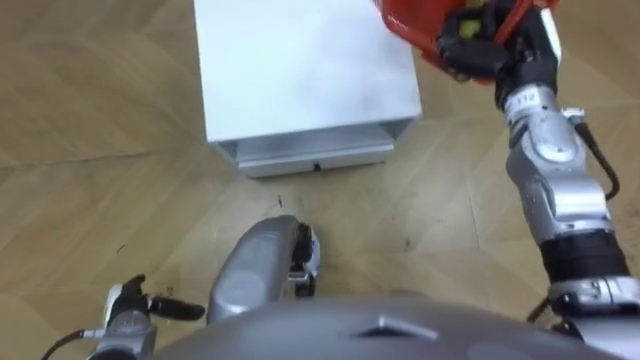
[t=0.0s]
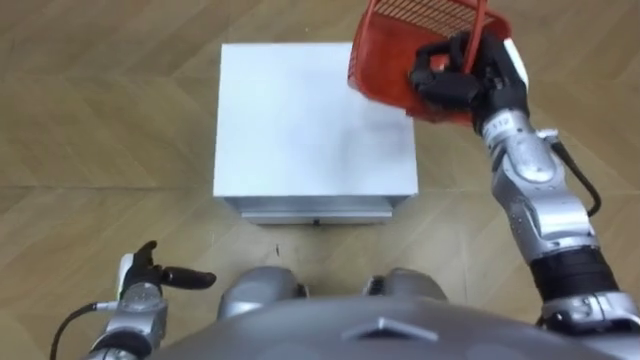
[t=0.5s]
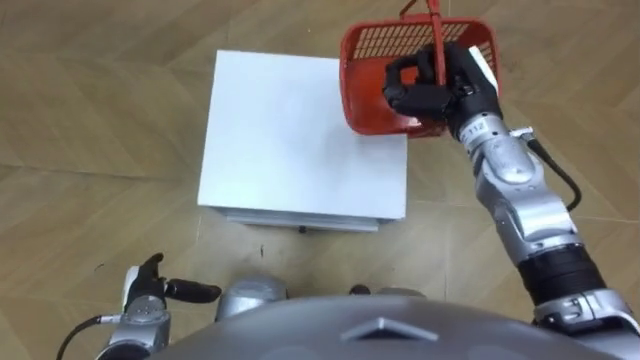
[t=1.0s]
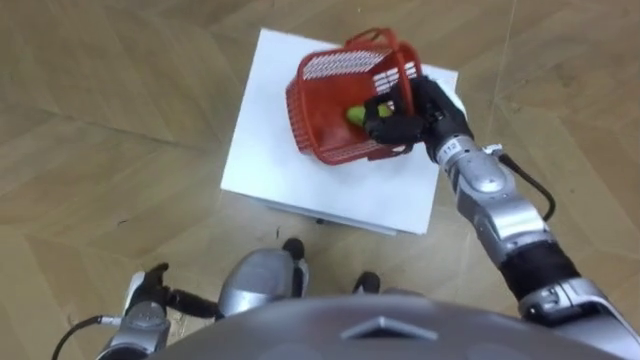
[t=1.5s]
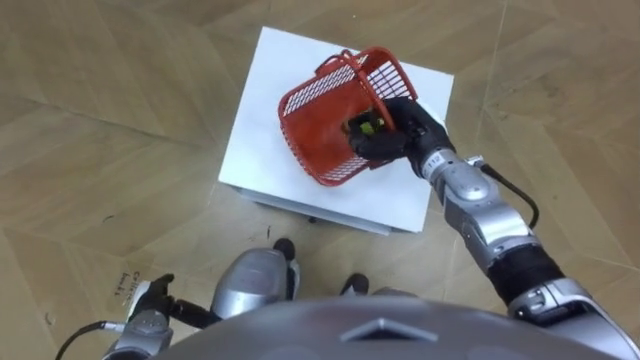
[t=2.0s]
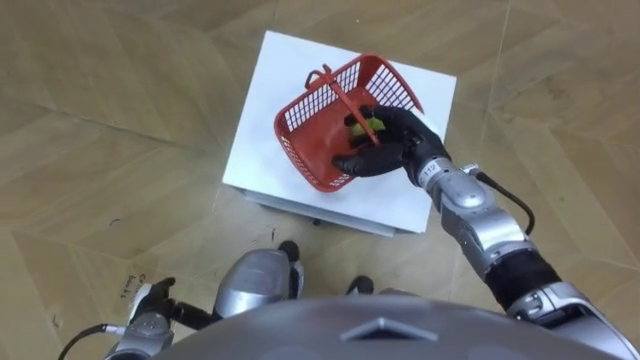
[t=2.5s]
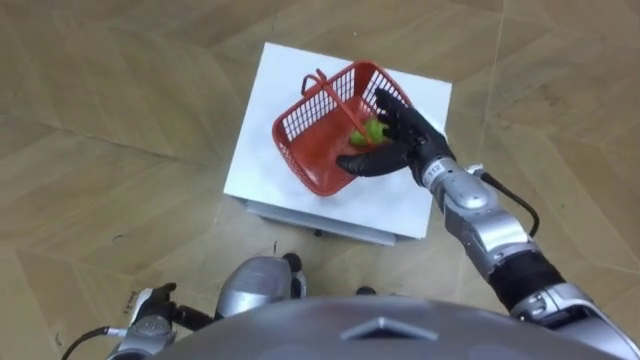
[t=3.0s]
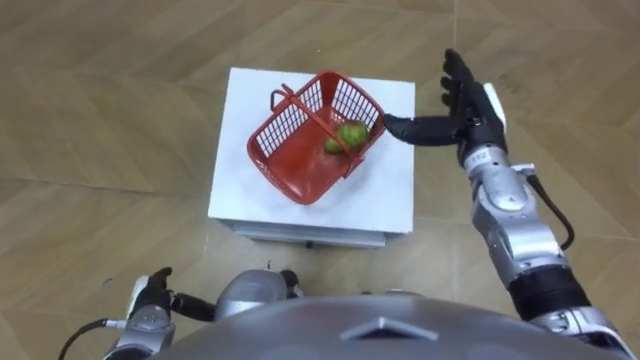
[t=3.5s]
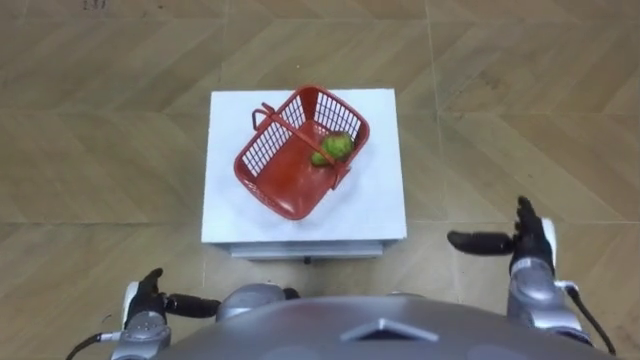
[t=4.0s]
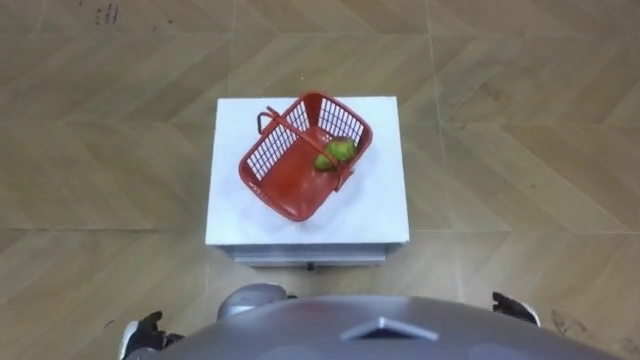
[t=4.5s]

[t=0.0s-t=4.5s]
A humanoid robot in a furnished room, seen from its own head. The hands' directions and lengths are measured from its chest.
Task of the whole recording: Pick up the fruit basket from the floor and place it on the cabinet.
t=0.0s to t=2.0s: The robot's body swings some 15 degrees to its left. The right hand heads downward and to the left, covering about 15 cm.
t=2.0s to t=4.5s: The right hand heads backward, to the right and downward, covering approximately 35 cm, and opens up.

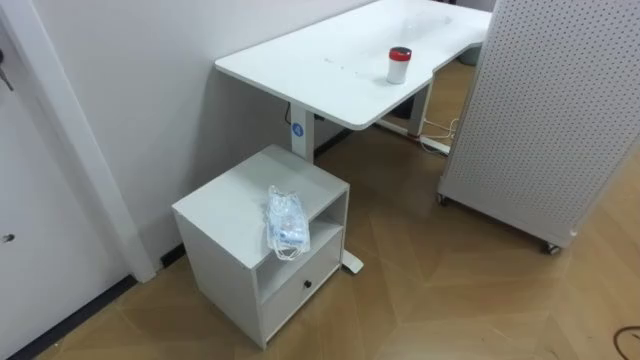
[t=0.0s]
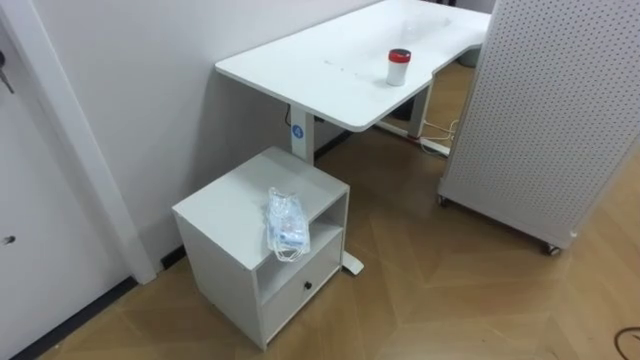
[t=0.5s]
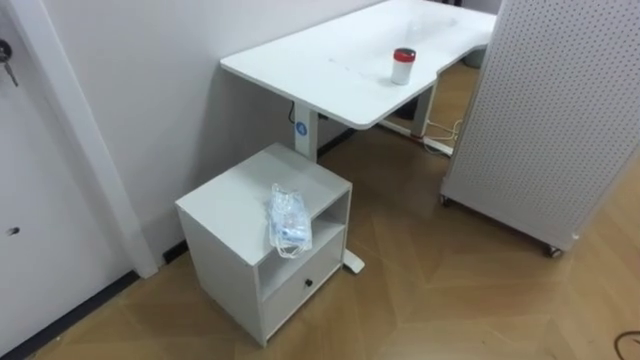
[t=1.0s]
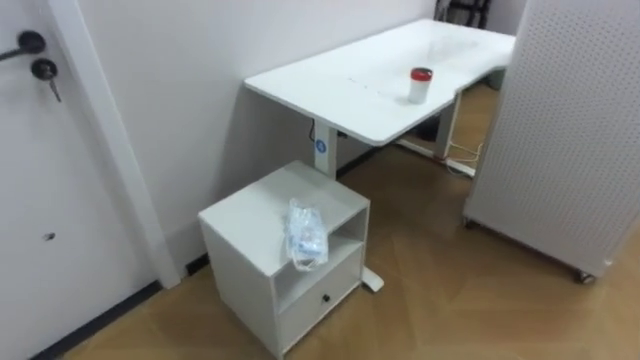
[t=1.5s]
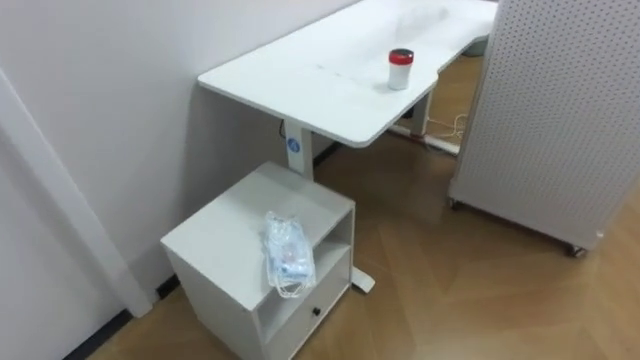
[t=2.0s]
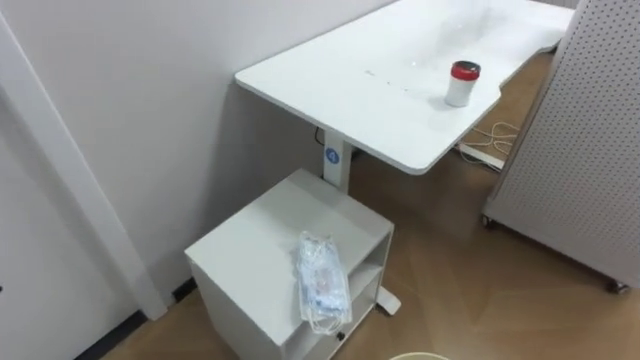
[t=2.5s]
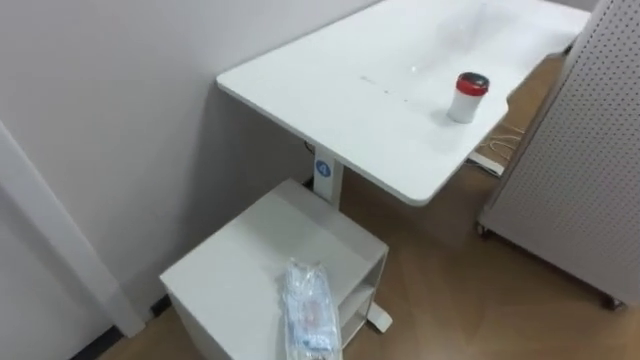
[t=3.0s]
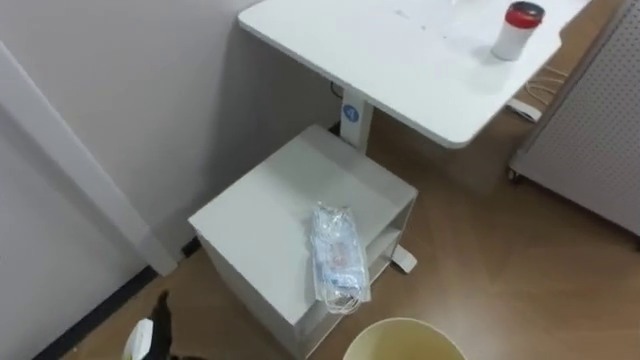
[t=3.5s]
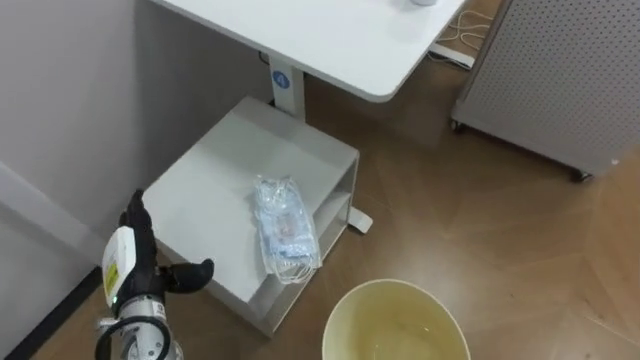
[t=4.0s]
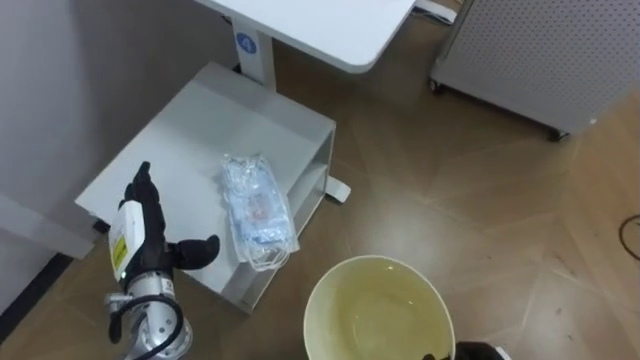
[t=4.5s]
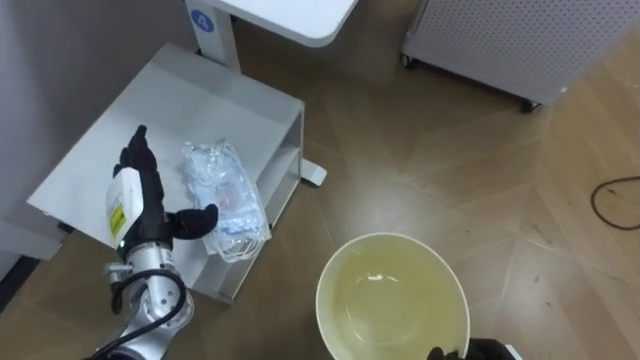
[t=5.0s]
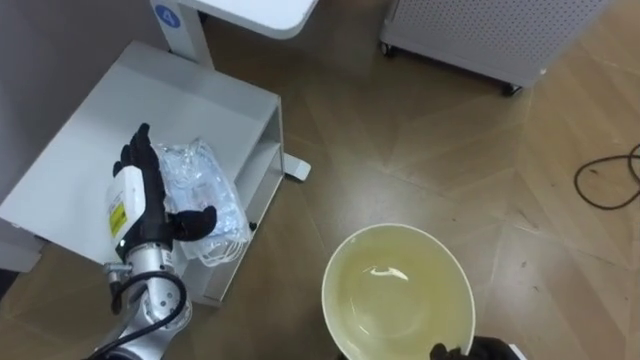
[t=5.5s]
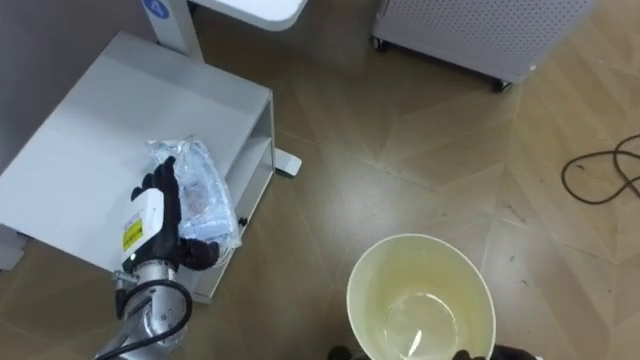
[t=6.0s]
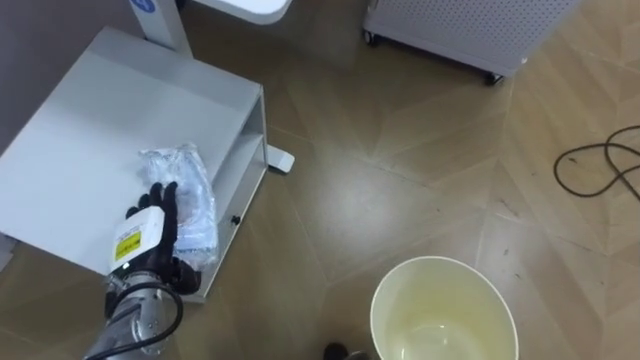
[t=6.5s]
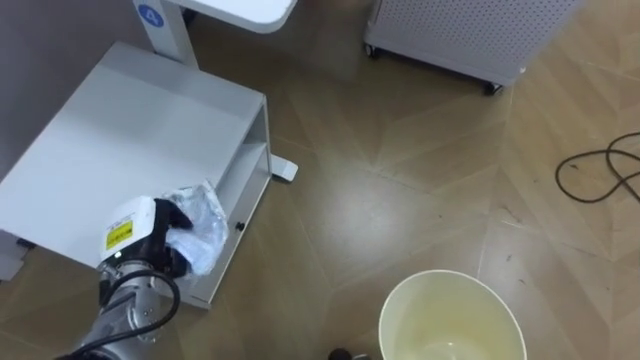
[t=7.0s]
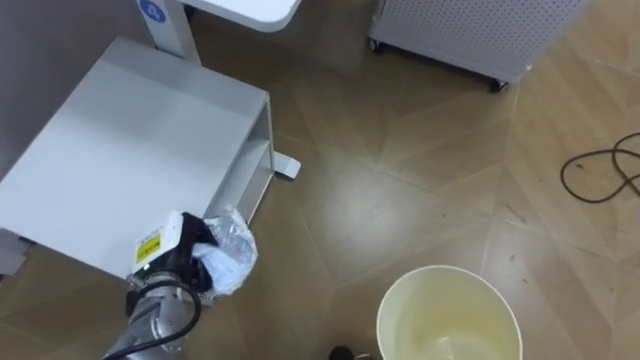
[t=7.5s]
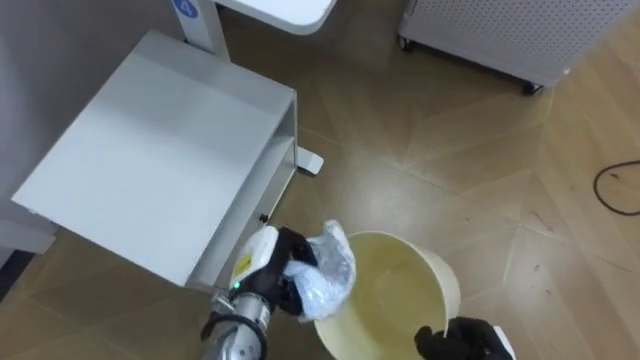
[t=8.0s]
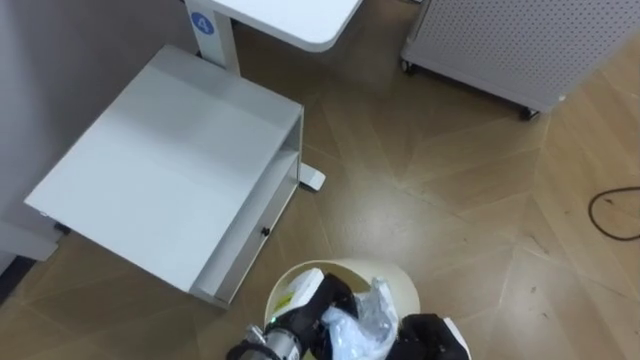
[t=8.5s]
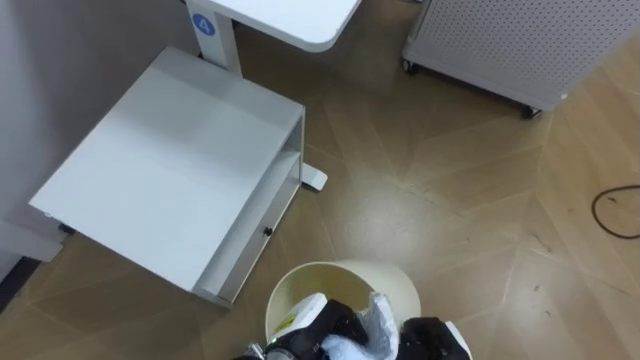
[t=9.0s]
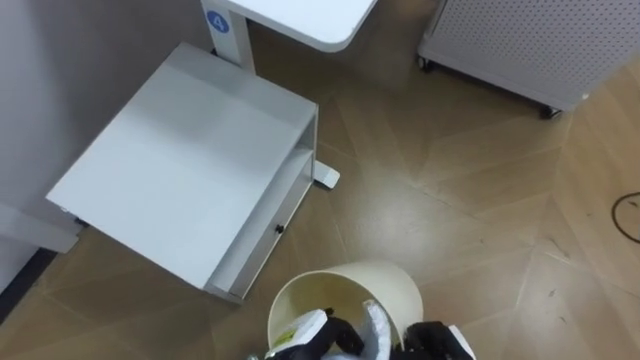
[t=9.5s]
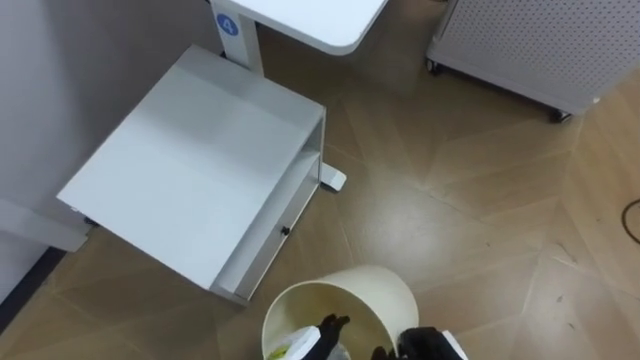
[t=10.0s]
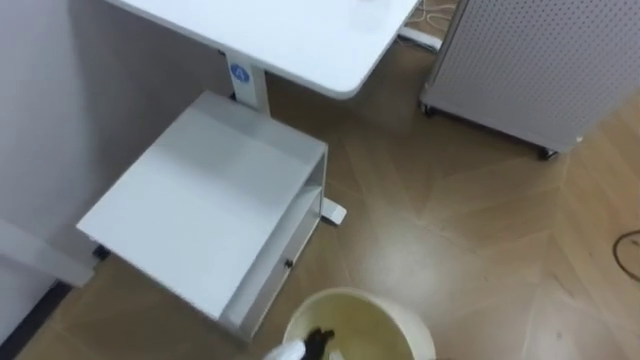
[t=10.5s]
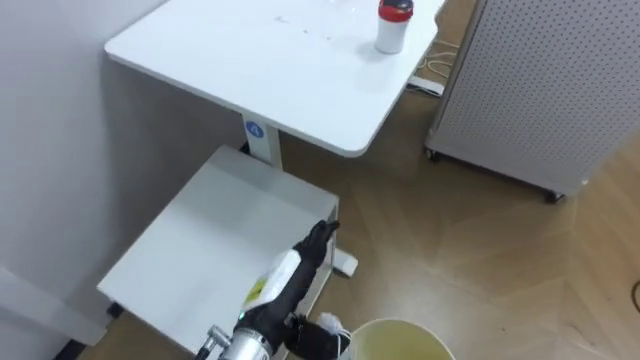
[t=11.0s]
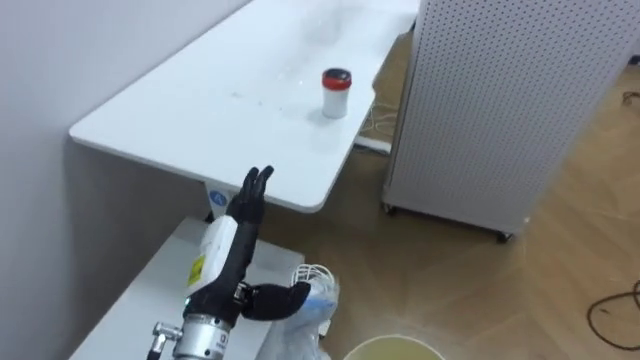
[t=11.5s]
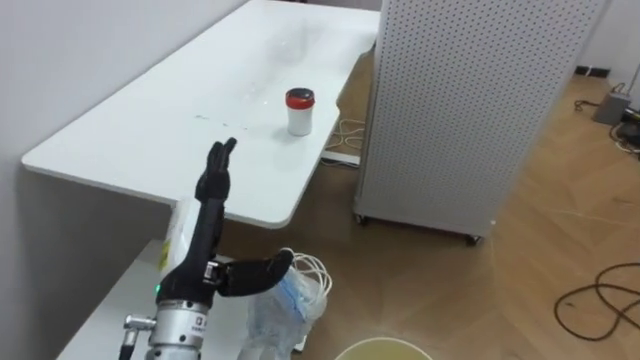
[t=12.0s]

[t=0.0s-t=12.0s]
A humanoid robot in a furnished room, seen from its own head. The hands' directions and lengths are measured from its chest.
Task of the whole recording: Pick up the light blue package, the candy box, and the dark blue package separately, and put them into the trash can held in your right hand.
t=4.0s to t=6.0s: The left hand changes place by about 5 cm.
t=6.0s to t=8.0s: The left hand shifts about 15 cm to the right, and closes up.
t=8.0s to t=10.0s: The left hand heads backward, downward and to the right, covering about 15 cm, and opens its fingers.

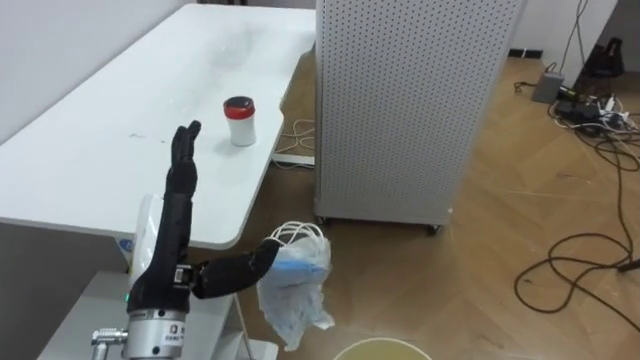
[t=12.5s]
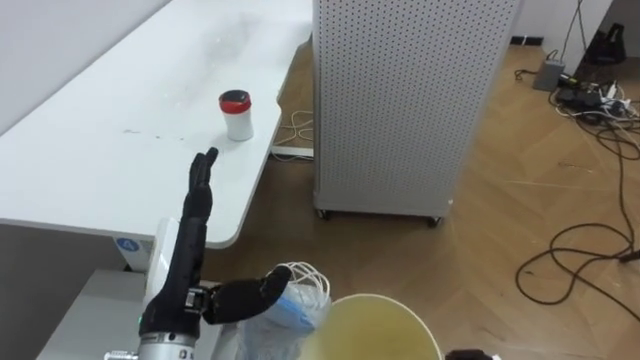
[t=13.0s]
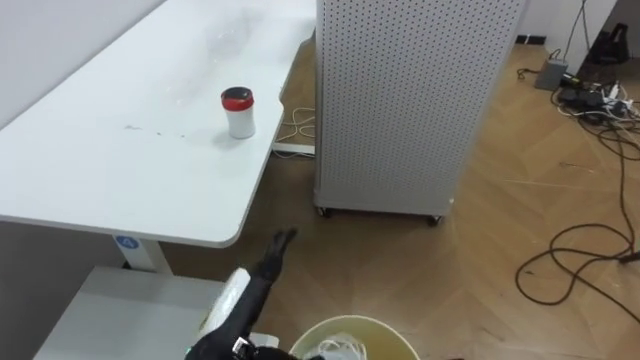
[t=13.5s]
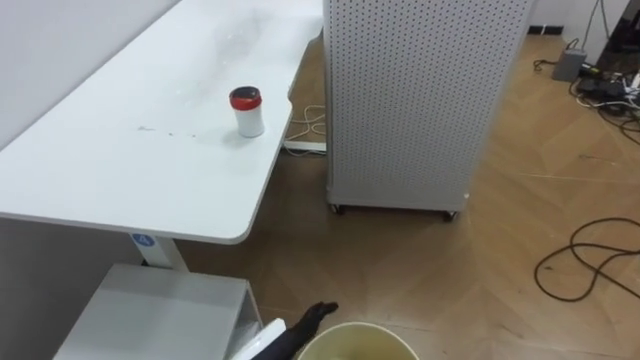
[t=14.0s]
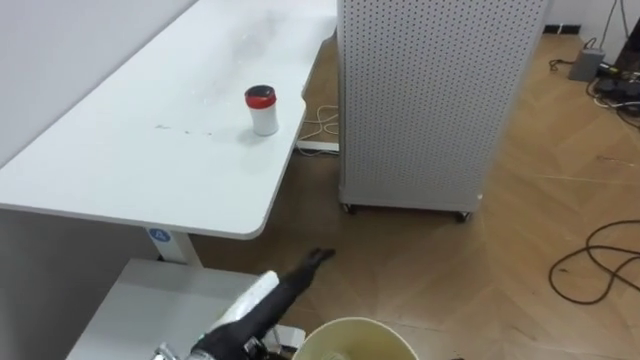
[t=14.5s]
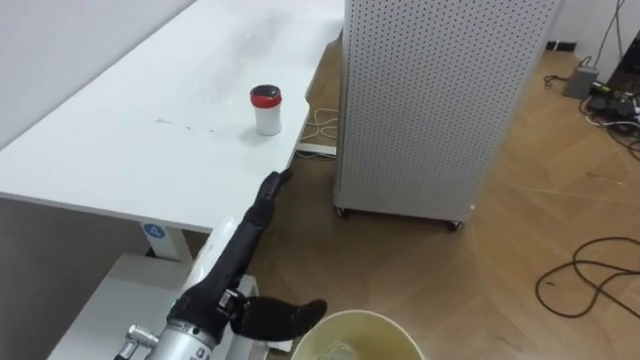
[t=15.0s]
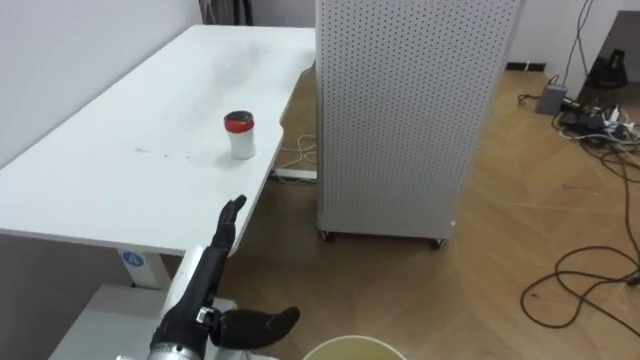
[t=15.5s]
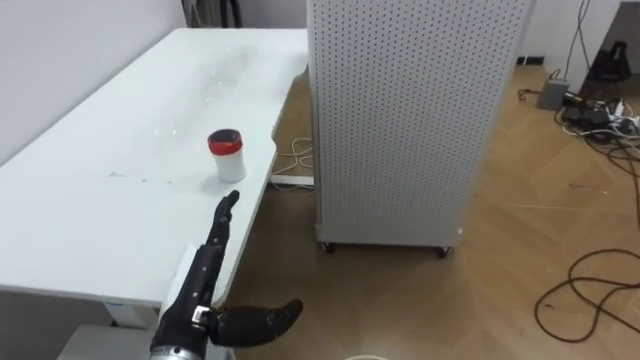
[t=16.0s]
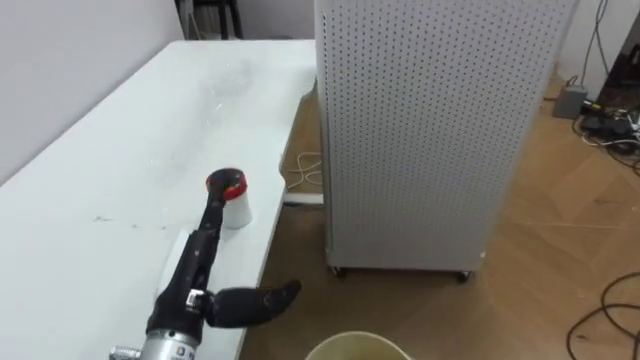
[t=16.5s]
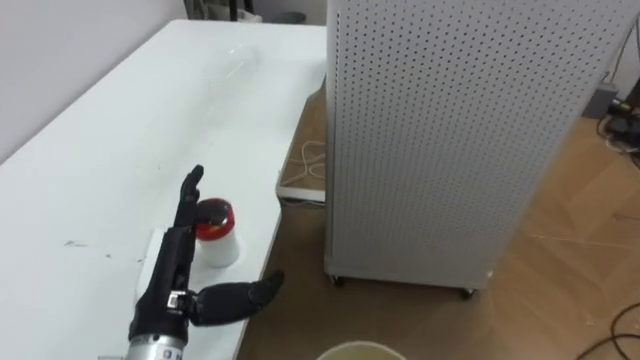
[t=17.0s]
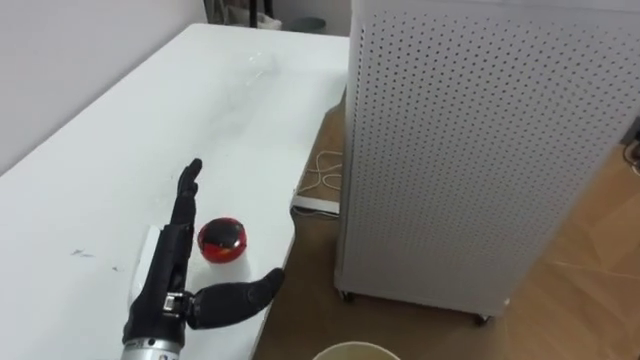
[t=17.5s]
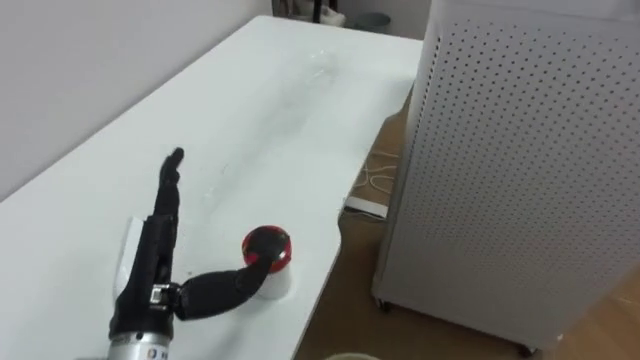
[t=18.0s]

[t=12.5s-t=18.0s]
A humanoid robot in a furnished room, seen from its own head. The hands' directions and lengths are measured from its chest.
Task of the whole recording: Pick up the light blue package, the candy box, and the dark blue package separately, and put them into the trash can held in your right hand.
t=14.5s to t=16.0s: The left hand heads to the left, covering some 5 cm.
t=16.0s to t=18.0s: The left hand shifts by some 5 cm.
